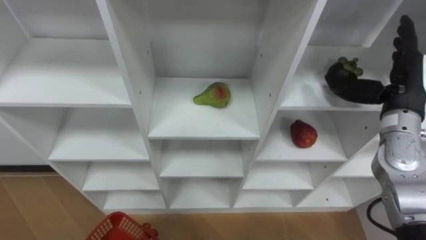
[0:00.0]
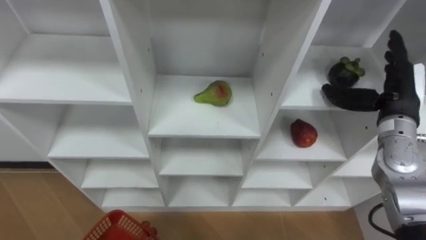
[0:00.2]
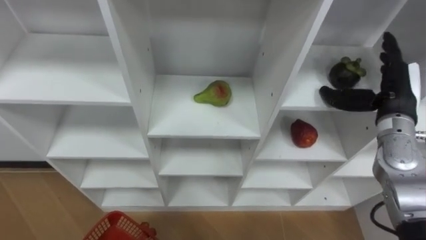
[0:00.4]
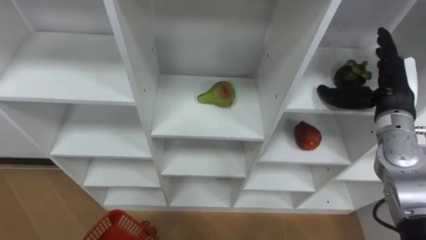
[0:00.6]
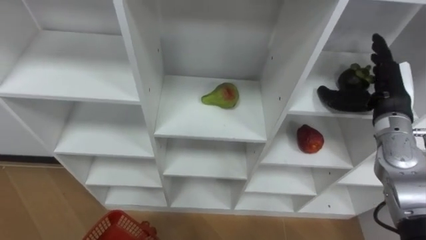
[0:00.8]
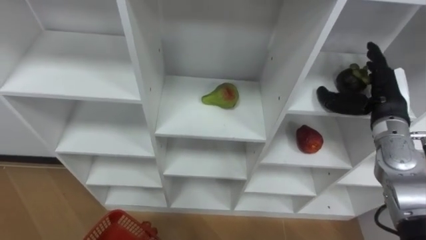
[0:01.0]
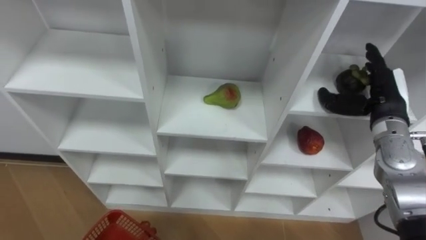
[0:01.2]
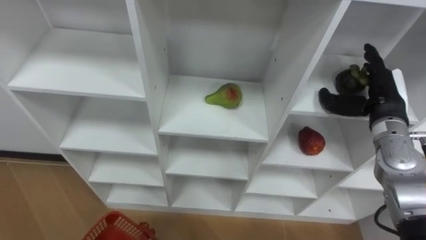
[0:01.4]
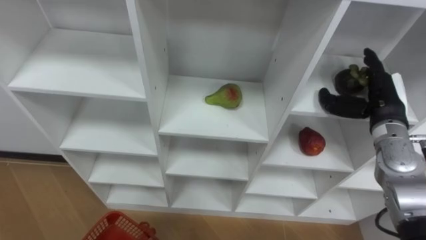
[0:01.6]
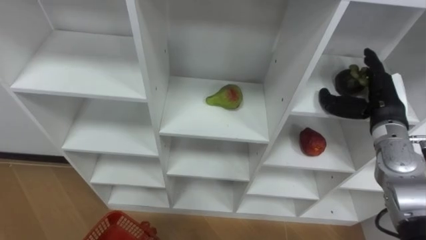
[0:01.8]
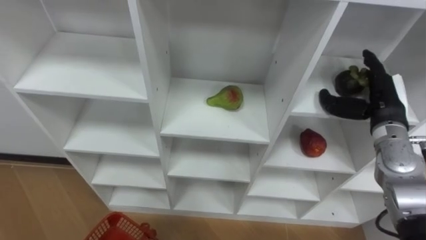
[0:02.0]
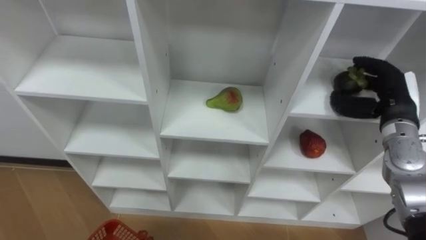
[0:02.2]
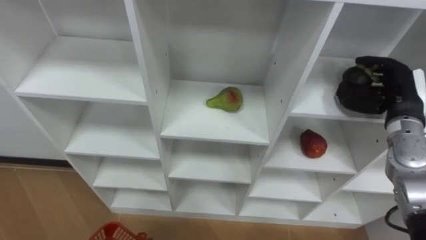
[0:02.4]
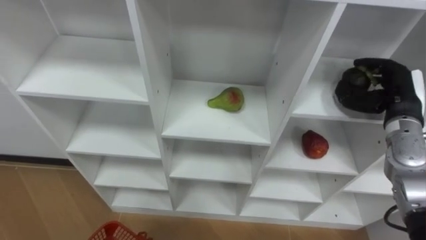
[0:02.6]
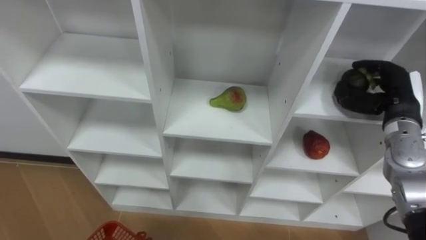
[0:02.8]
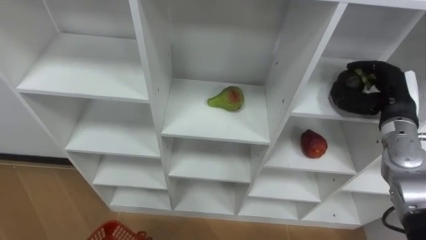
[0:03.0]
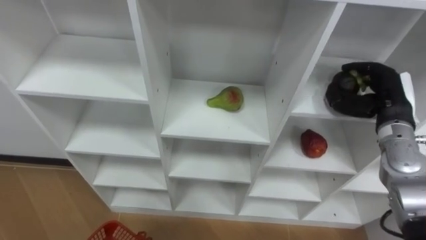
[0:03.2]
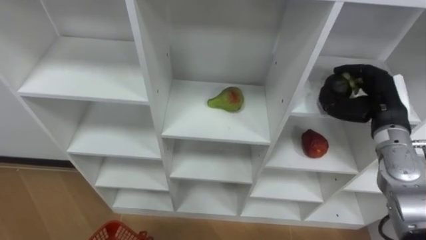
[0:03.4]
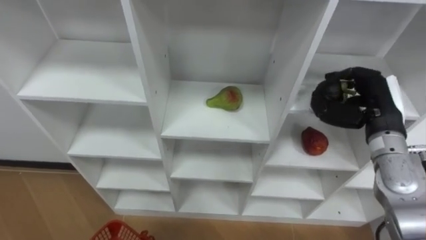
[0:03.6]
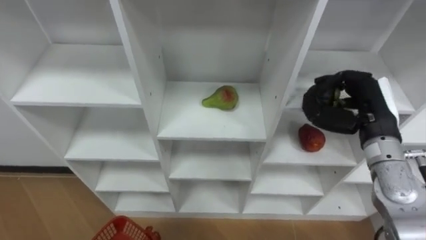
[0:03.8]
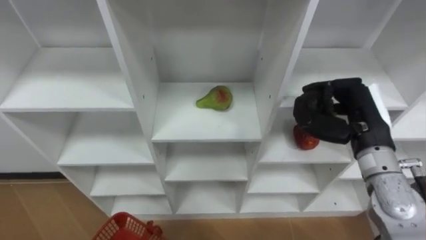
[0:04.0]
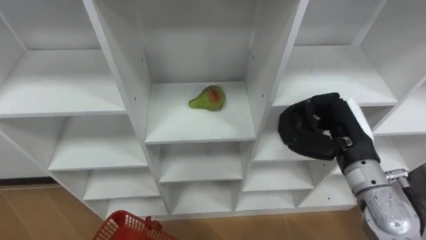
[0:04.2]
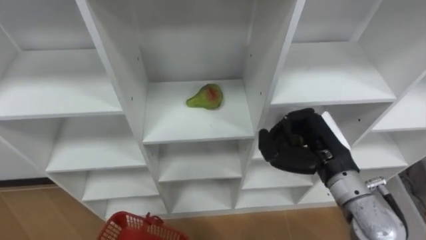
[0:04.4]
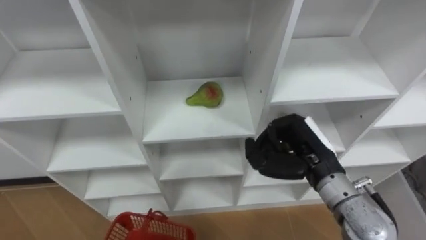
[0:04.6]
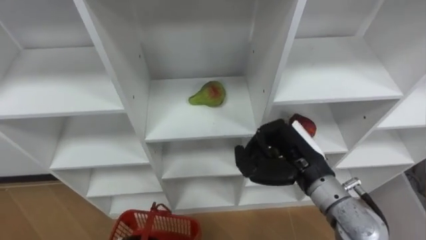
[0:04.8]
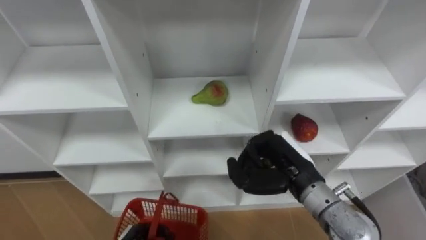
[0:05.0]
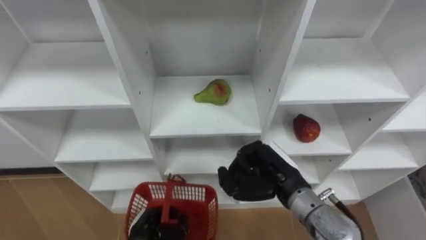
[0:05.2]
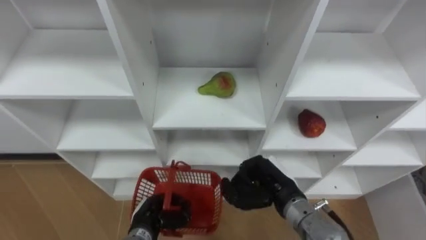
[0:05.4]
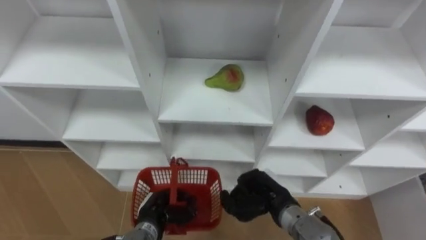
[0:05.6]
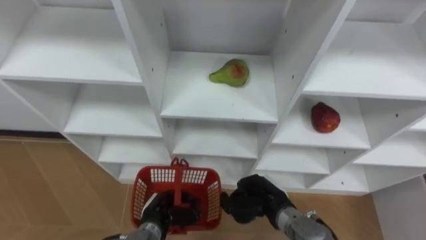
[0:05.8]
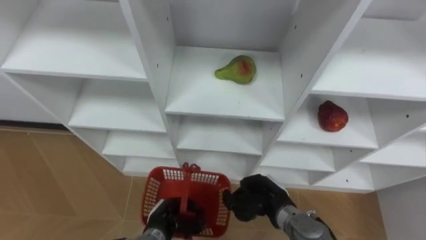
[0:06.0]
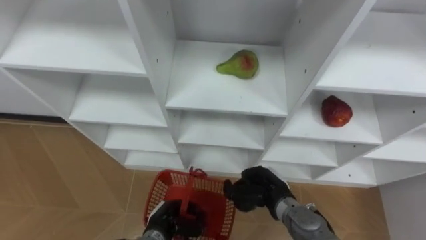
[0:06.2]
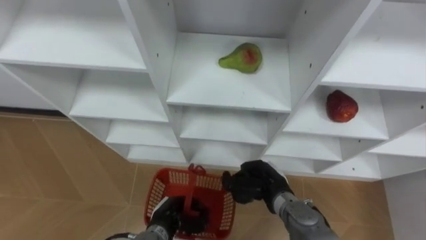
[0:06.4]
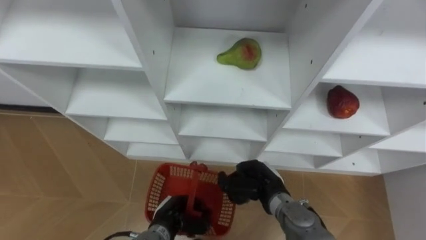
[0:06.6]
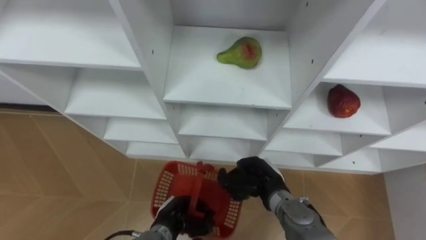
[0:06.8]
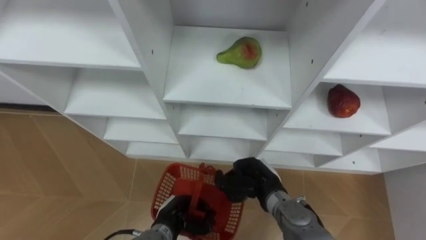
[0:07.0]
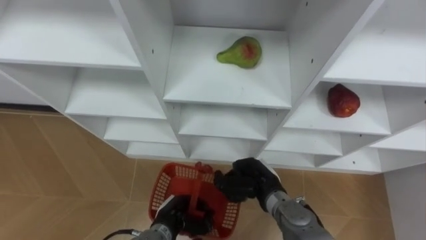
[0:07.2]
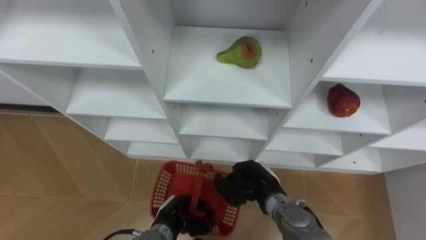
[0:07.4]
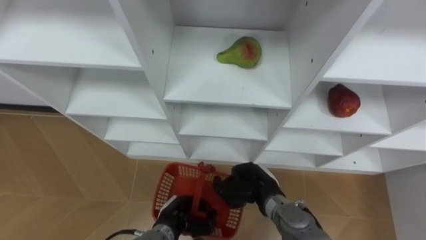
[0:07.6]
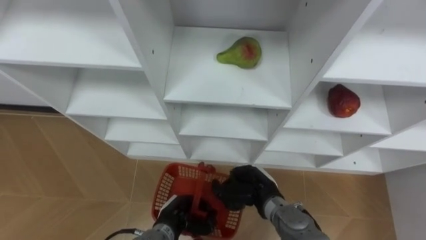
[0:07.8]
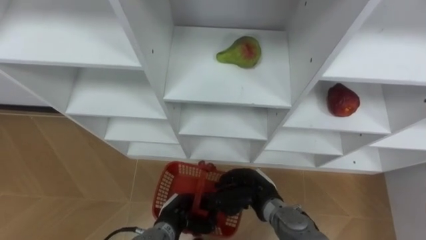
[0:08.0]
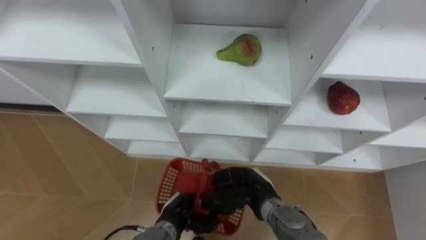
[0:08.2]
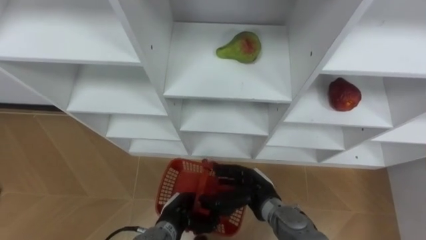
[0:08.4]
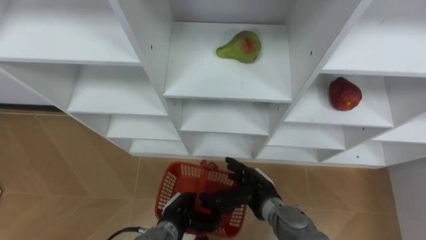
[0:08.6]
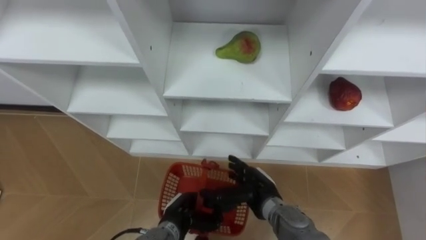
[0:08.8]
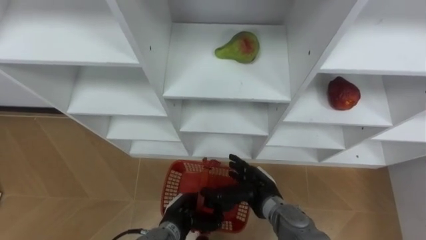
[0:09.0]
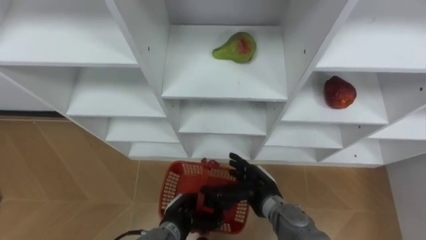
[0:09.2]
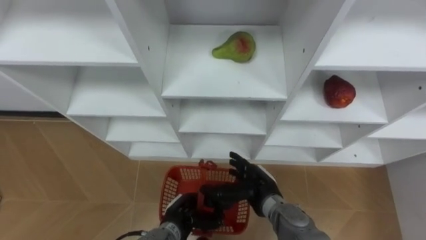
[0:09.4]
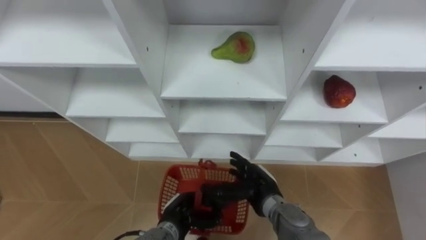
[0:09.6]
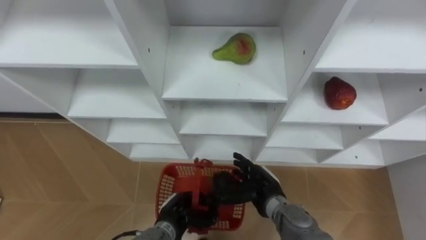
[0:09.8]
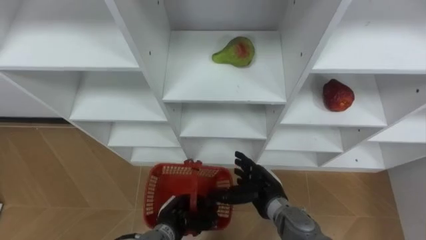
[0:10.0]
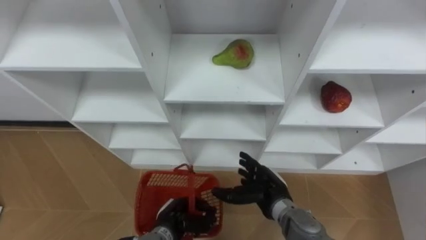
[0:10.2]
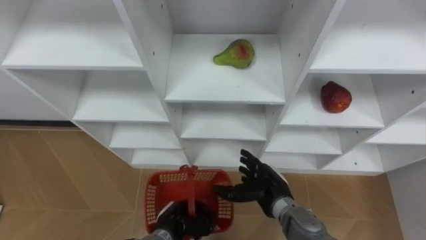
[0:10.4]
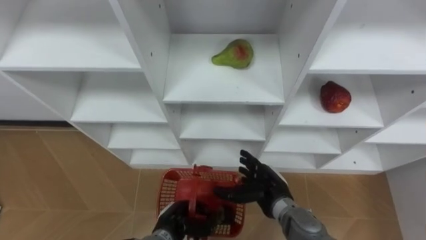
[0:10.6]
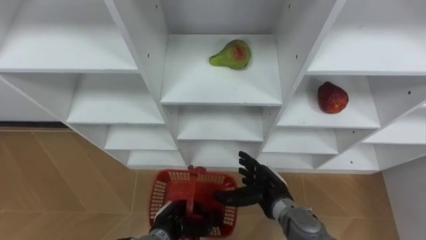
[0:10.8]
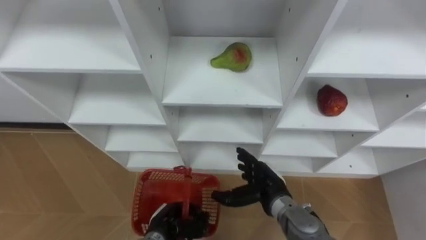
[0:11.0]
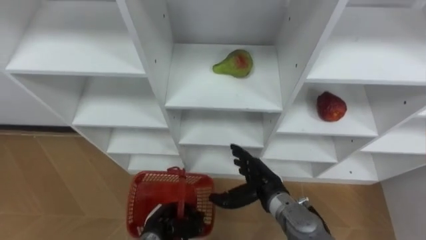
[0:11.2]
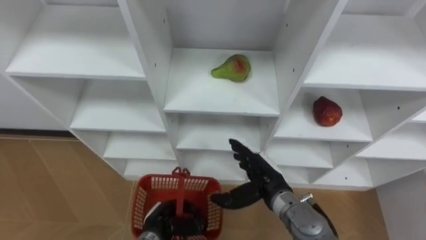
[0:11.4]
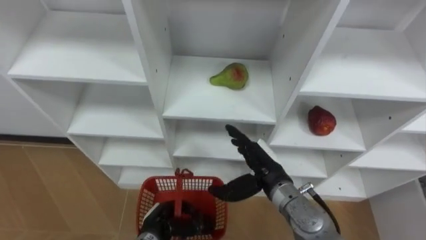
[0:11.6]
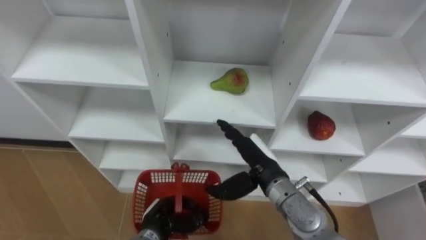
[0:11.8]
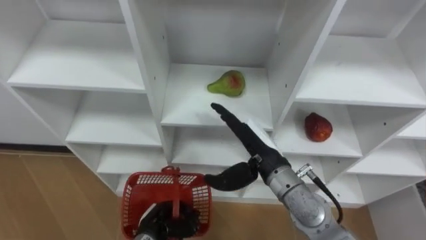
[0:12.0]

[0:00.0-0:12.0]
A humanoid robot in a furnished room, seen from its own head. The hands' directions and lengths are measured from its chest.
Task of the whole recording: Hold the basket and collect the fruits from 3 different cells of the closet into it.
0:00.0 to 0:01.6: The right hand shifts some 5 cm downward.
0:01.6 to 0:03.0: The right hand closes up.
0:03.0 to 0:04.4: The right hand goes approximately 15 cm to the left and backward.
0:04.4 to 0:06.0: The right hand heads downward and to the left, covering some 20 cm.
0:07.6 to 0:09.0: The right hand opens up.
0:10.4 to 0:12.0: The right hand travels upward by some 15 cm.

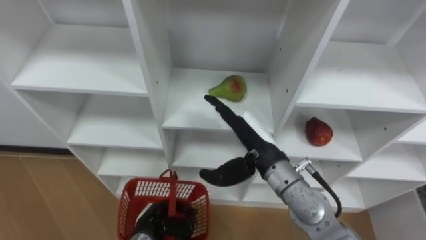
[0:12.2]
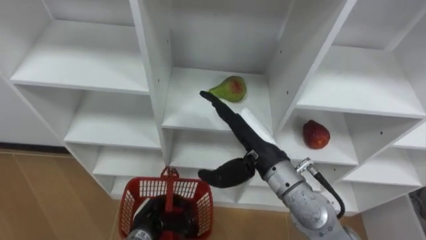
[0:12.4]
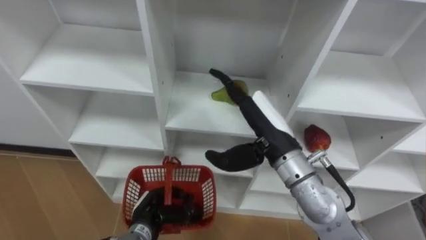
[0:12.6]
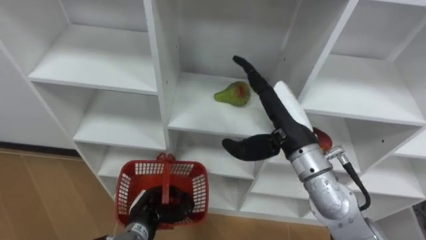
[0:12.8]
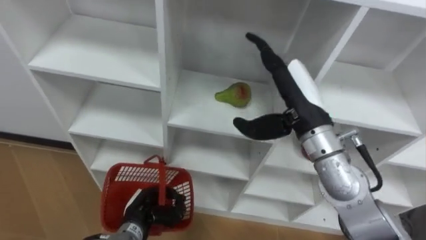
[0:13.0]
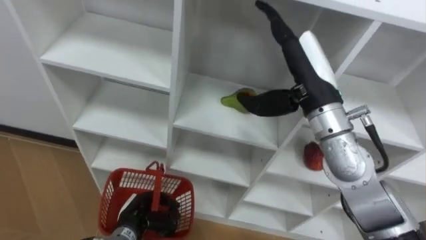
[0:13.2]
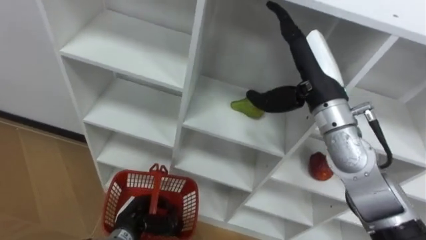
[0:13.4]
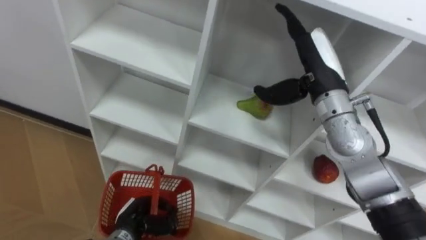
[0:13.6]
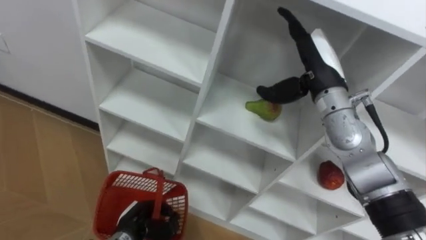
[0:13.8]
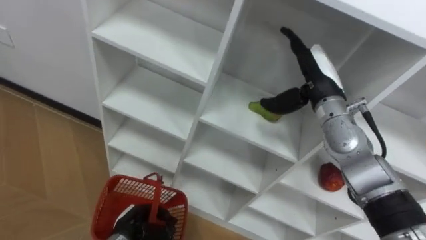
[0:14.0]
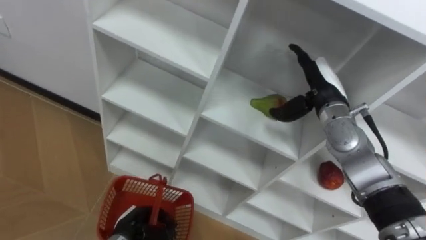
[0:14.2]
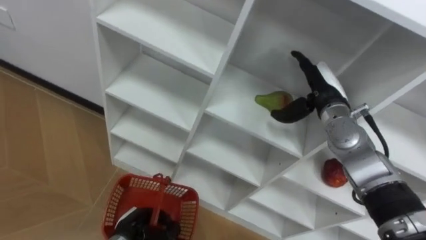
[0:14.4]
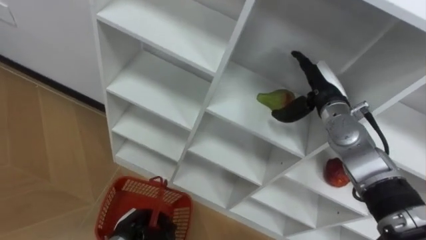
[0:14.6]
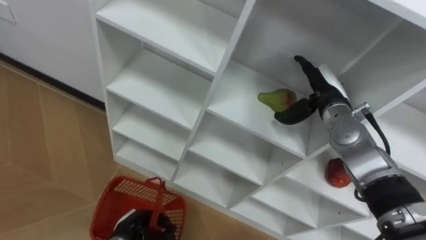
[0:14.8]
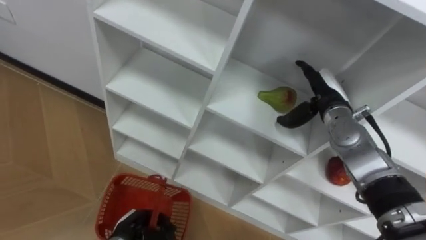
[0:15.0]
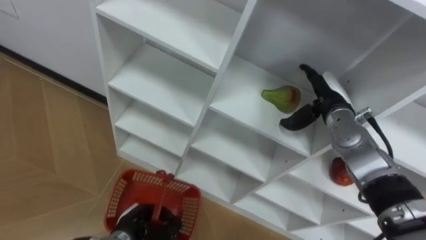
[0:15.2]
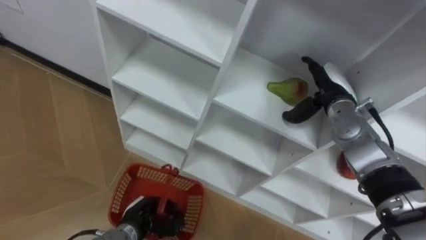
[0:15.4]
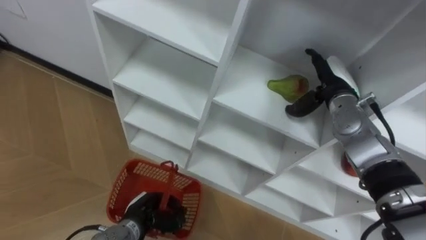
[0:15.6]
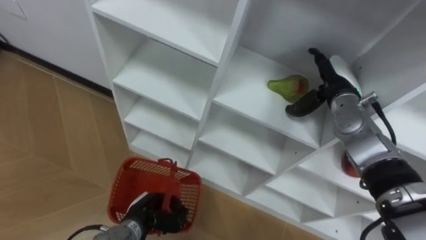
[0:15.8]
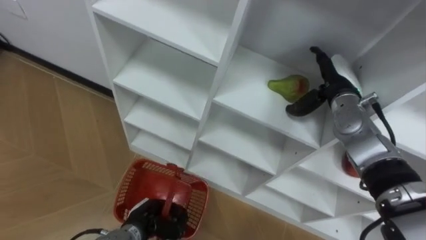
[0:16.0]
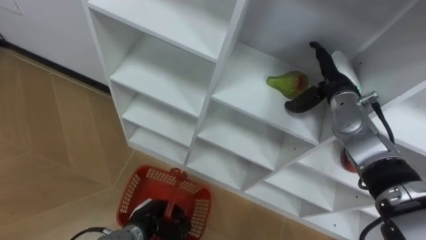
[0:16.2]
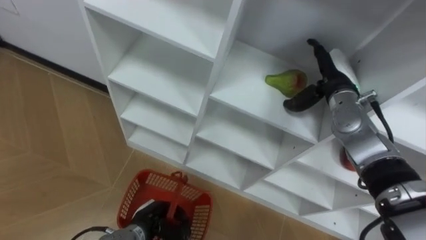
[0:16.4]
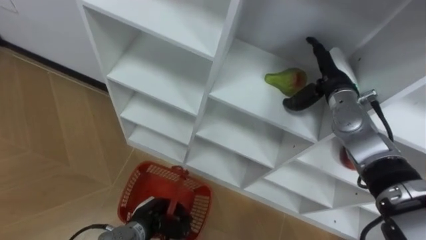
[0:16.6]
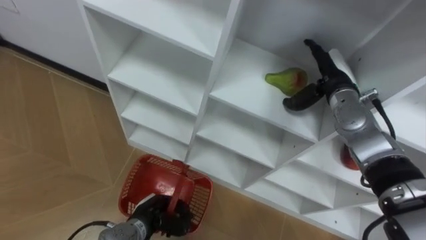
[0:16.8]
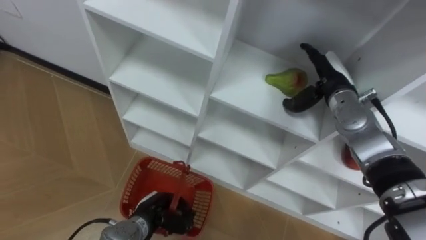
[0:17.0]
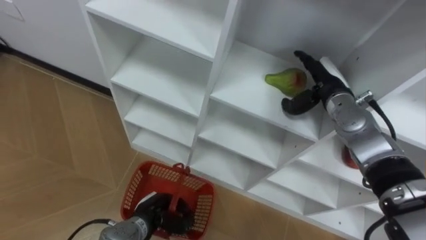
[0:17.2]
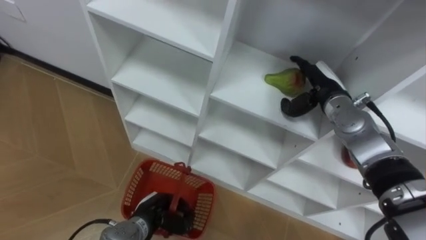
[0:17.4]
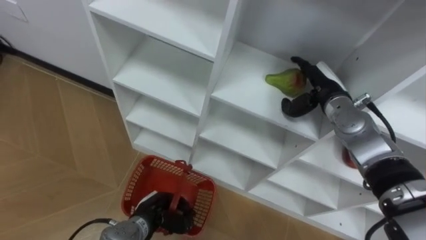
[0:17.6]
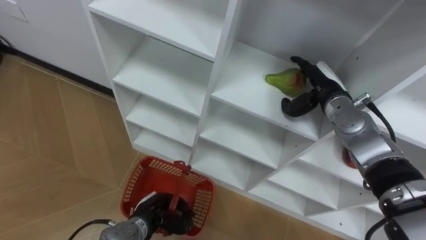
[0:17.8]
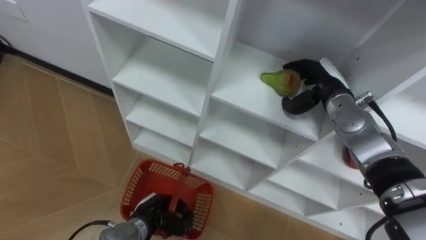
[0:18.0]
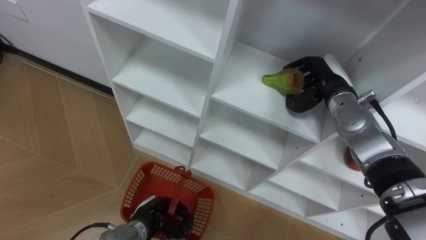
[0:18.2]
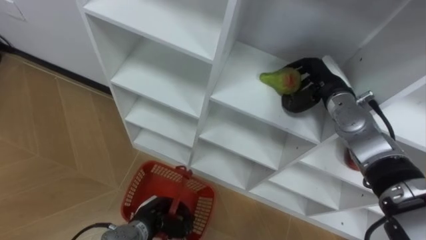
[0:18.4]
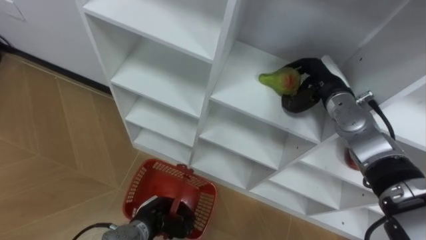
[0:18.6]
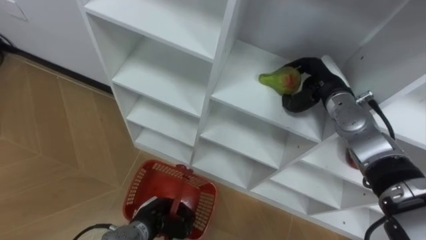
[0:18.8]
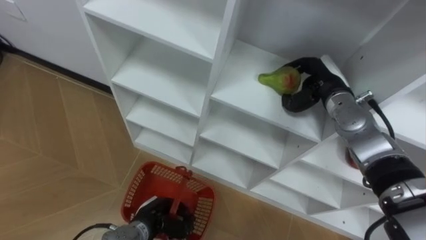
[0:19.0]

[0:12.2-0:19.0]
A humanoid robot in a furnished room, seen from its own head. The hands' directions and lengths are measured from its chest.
Task of the whole recording: Hold the basket and collect the fruits from 3 different cells of the closet into it.
0:12.2 to 0:13.6: The right hand travels upward, to the right and forward by approximately 15 cm.
0:13.6 to 0:15.0: The right hand goes some 10 cm downward.
0:17.6 to 0:19.0: The right hand closes up.
